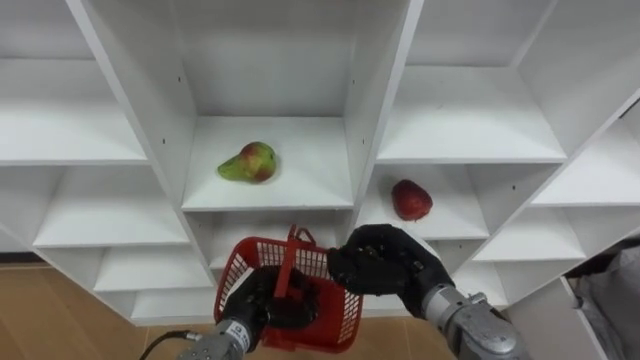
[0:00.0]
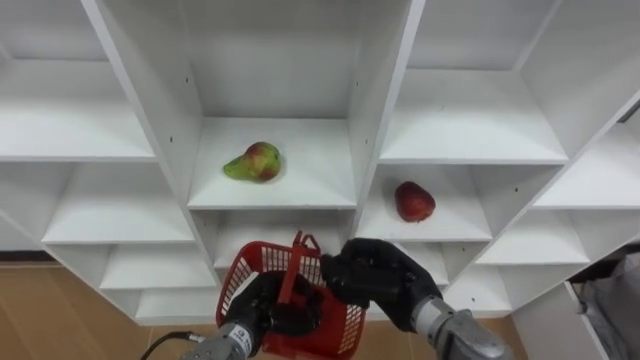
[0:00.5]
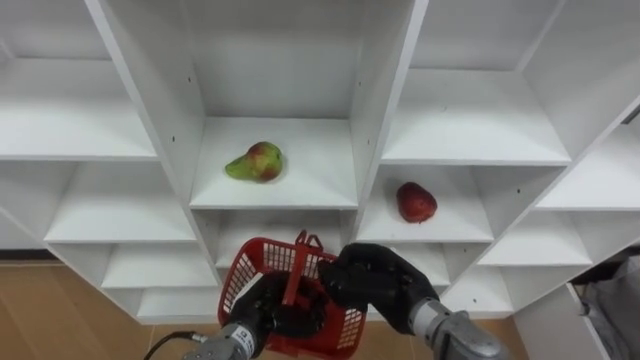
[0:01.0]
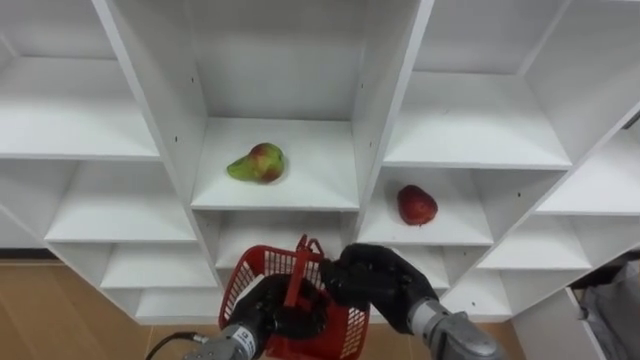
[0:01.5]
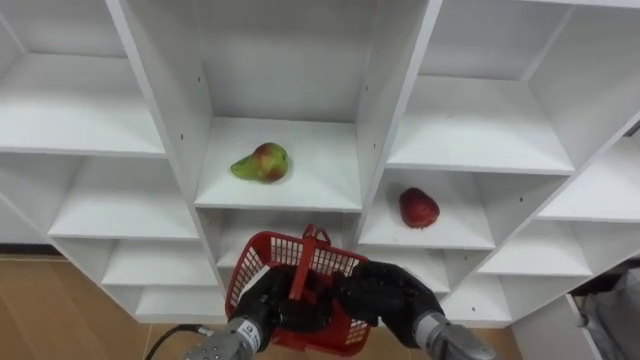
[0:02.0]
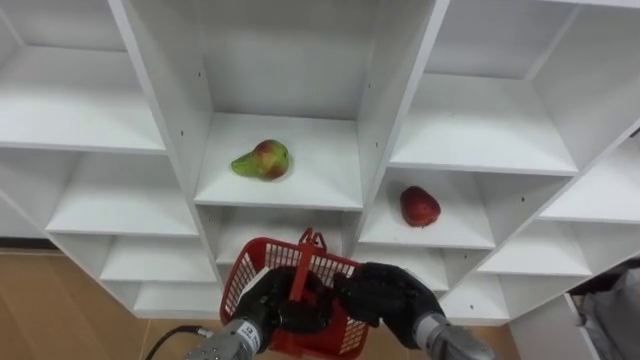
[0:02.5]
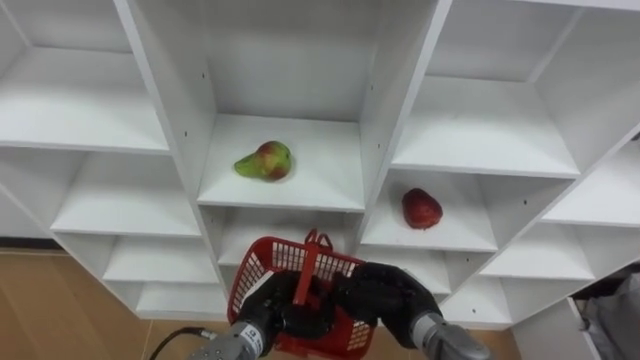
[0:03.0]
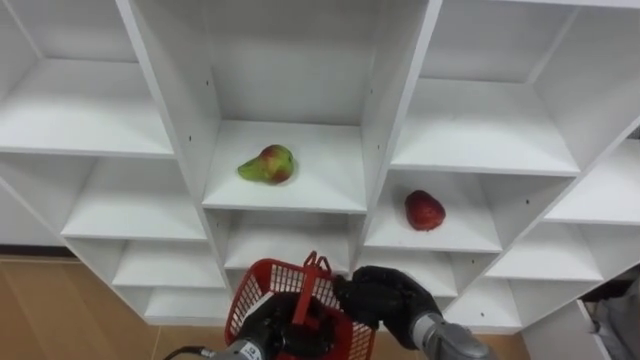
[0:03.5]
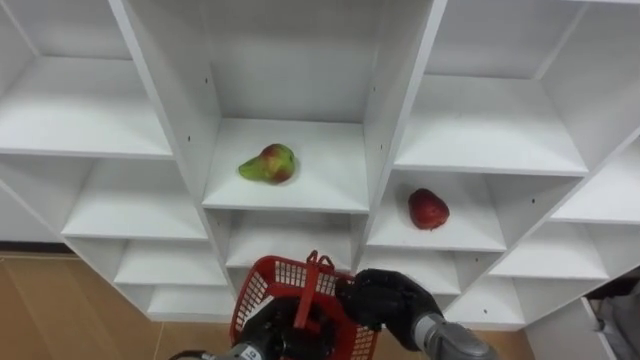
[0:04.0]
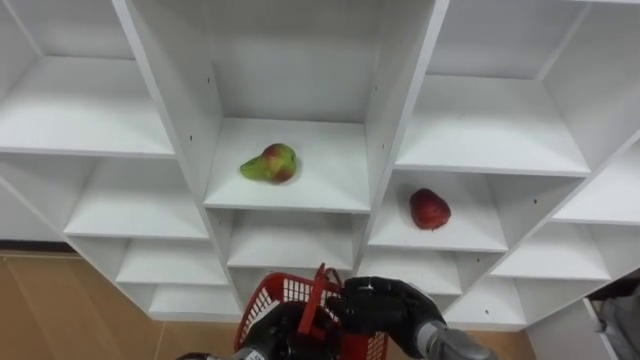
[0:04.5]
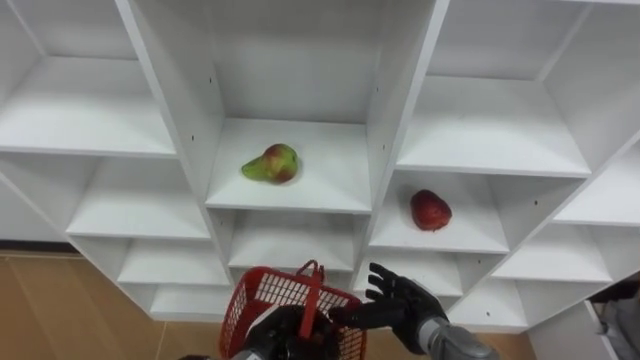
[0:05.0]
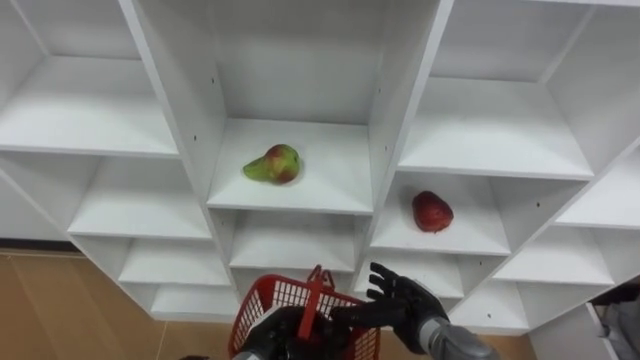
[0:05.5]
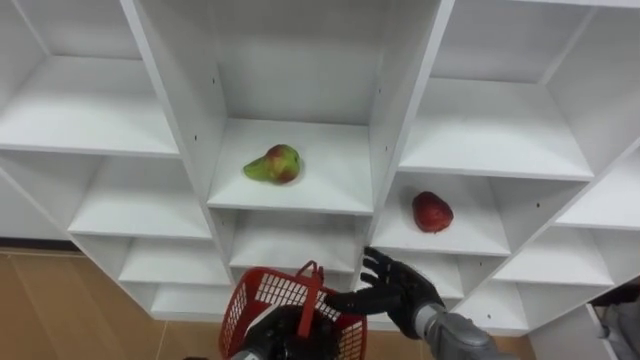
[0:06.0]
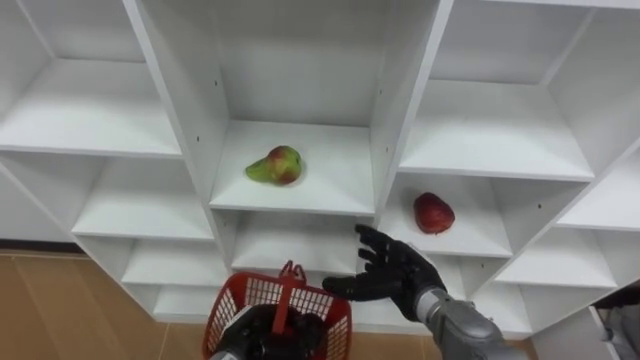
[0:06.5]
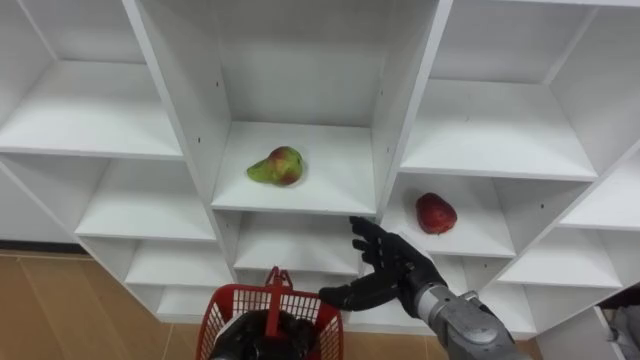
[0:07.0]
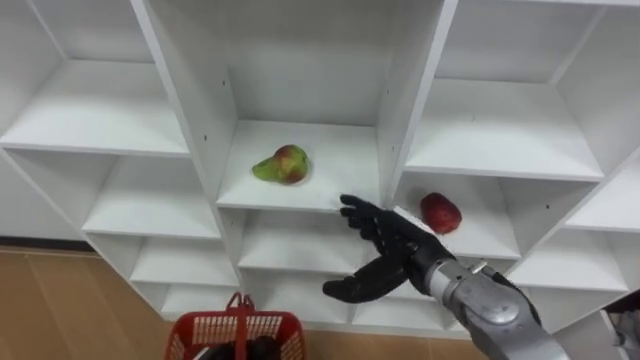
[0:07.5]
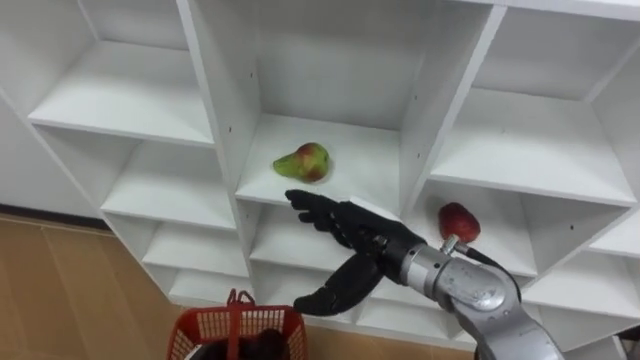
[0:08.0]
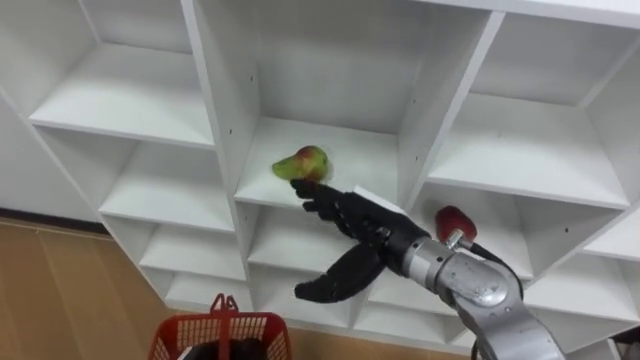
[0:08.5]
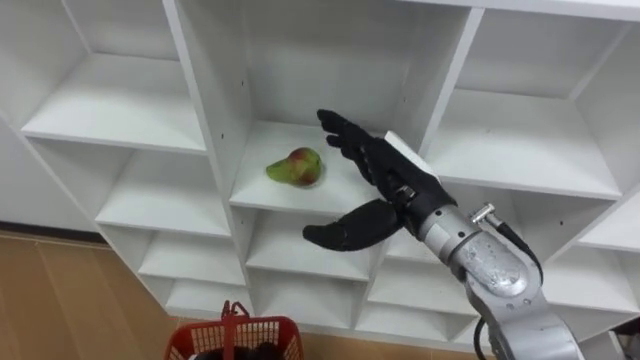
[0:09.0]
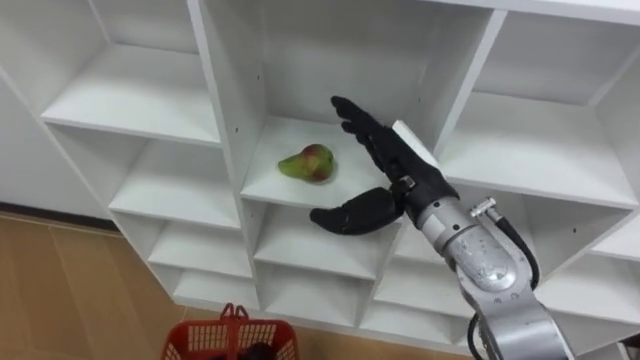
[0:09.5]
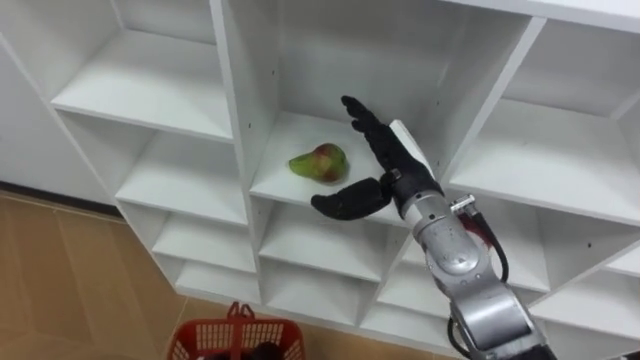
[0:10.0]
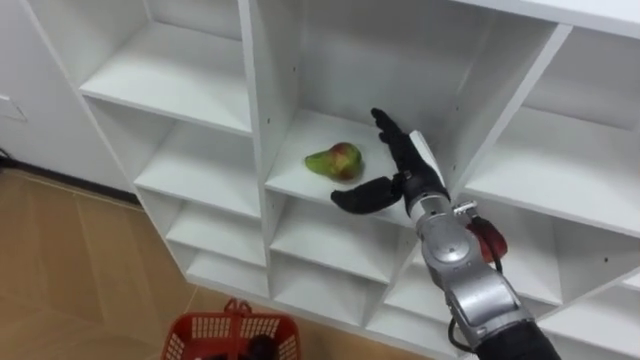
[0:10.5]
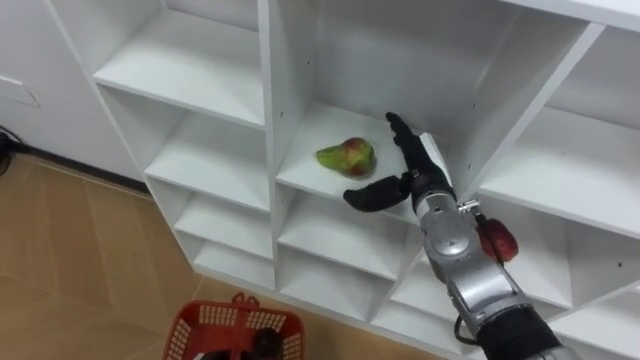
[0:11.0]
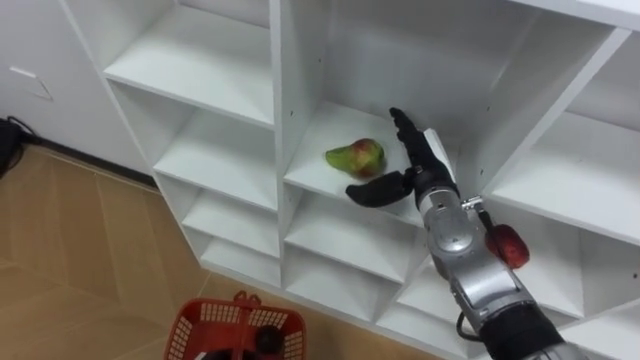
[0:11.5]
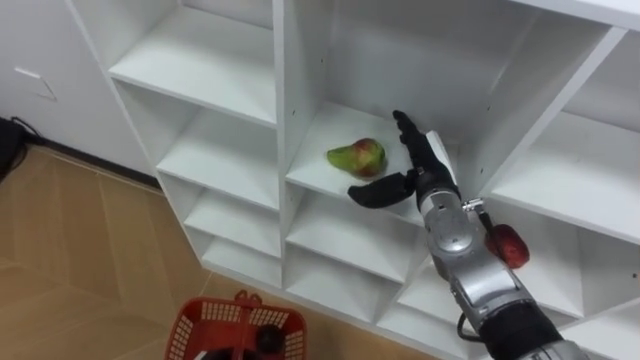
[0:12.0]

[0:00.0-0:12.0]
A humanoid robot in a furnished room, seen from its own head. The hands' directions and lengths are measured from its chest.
Task of the whole recording: Hold the basket and collect the fruits from 3 different cells of the closet into it.
0.0 to 2.0 s: The right hand shifts some 5 cm downward.
2.0 to 4.0 s: The hands stay close to where they were, moving slightly.
4.0 to 6.0 s: The right hand opens.
6.0 to 8.0 s: The right hand shifts about 15 cm upward.
8.0 to 10.0 s: The right hand goes approximately 5 cm forward.
10.0 to 12.0 s: The right hand shifts some 5 cm downward.

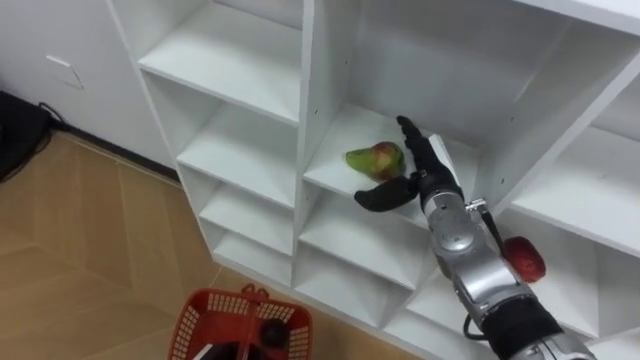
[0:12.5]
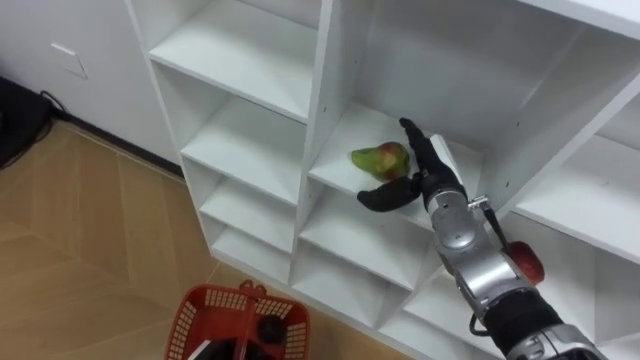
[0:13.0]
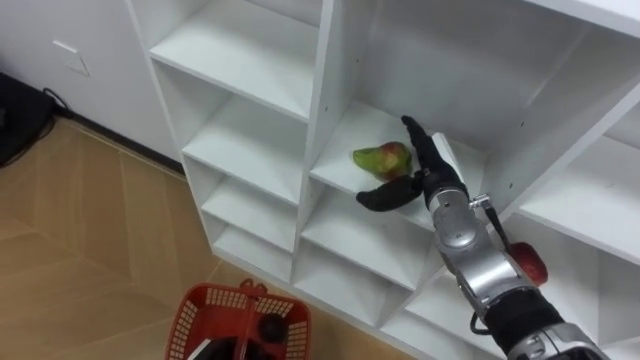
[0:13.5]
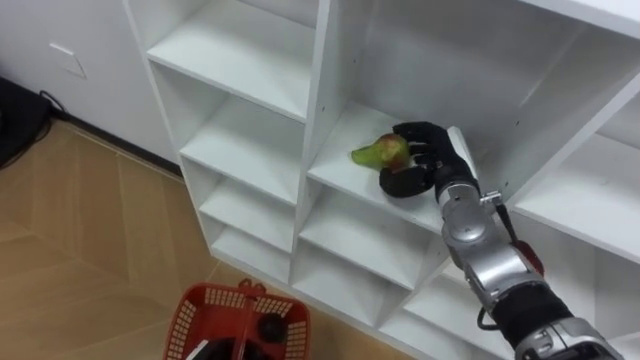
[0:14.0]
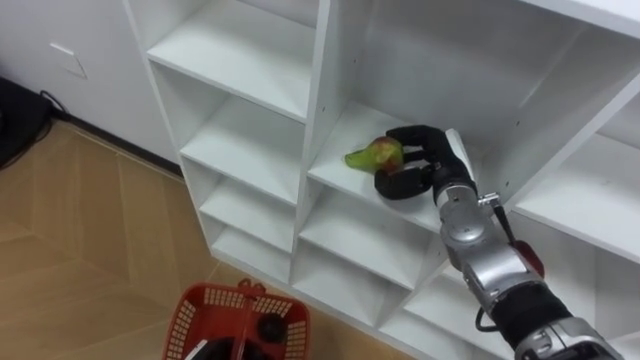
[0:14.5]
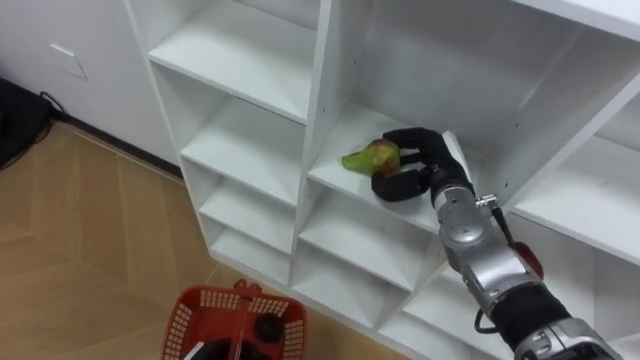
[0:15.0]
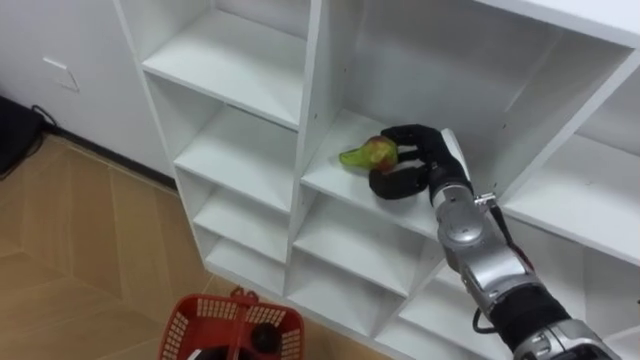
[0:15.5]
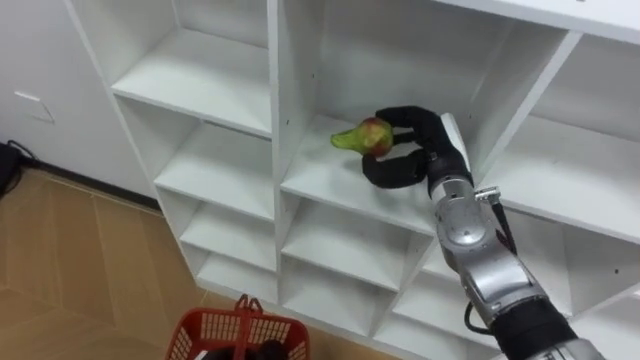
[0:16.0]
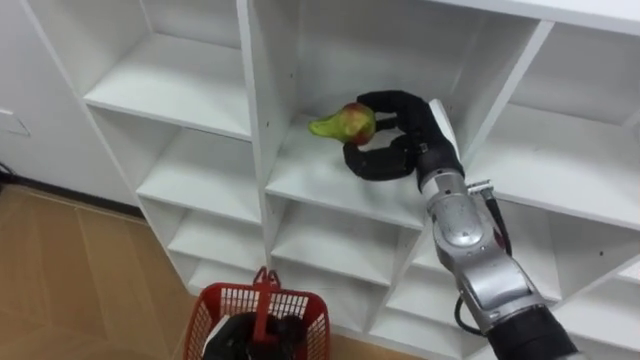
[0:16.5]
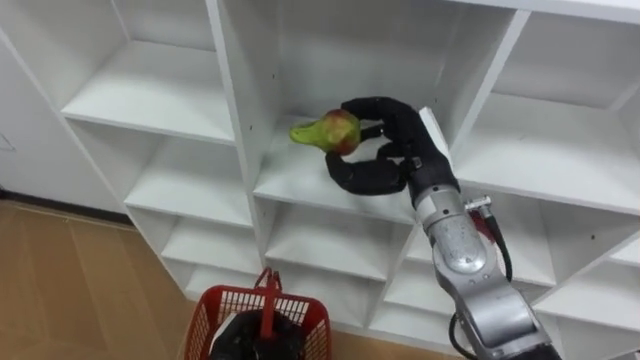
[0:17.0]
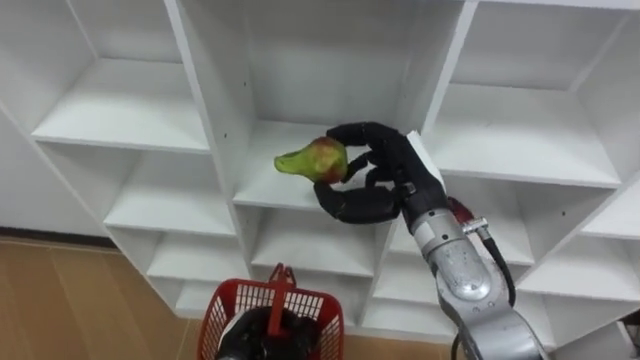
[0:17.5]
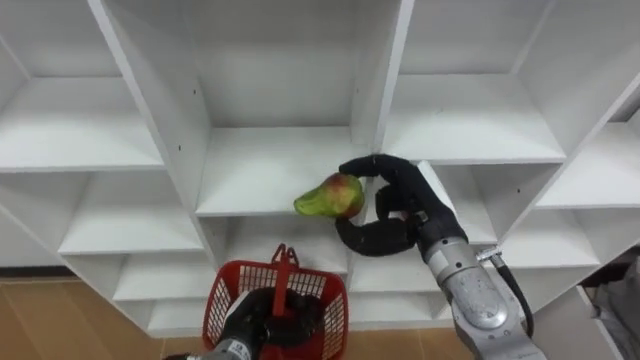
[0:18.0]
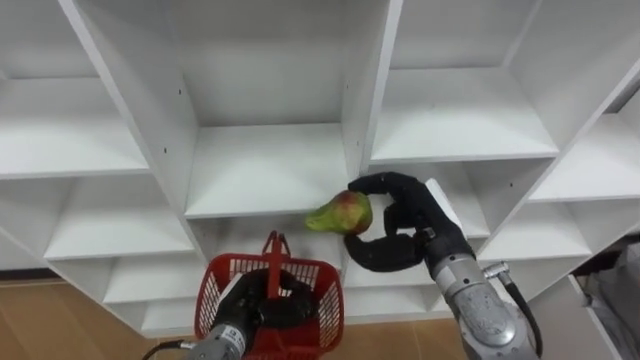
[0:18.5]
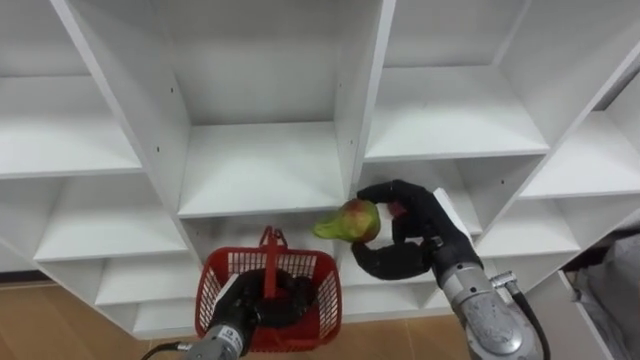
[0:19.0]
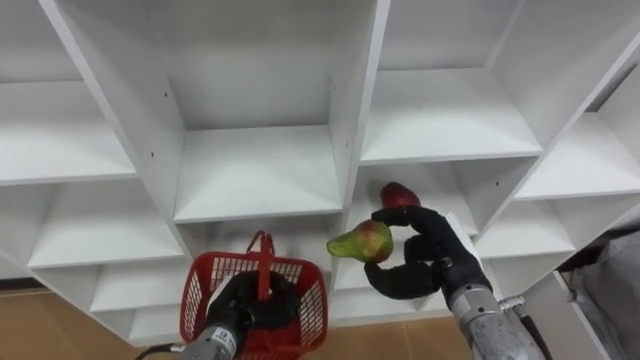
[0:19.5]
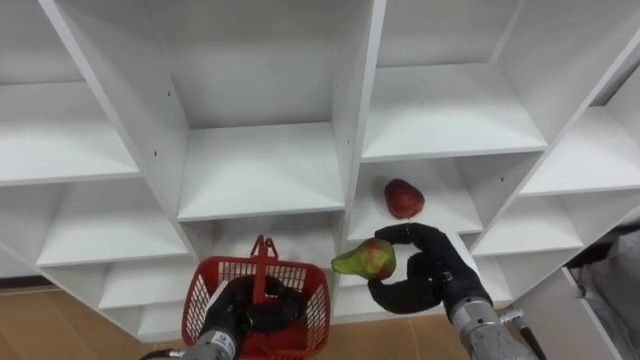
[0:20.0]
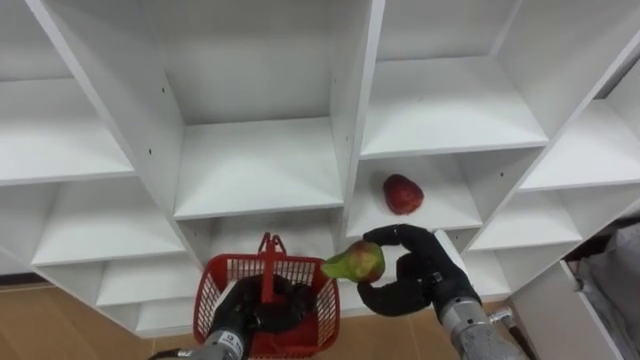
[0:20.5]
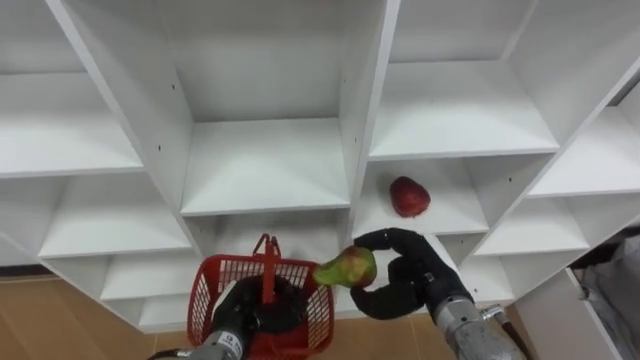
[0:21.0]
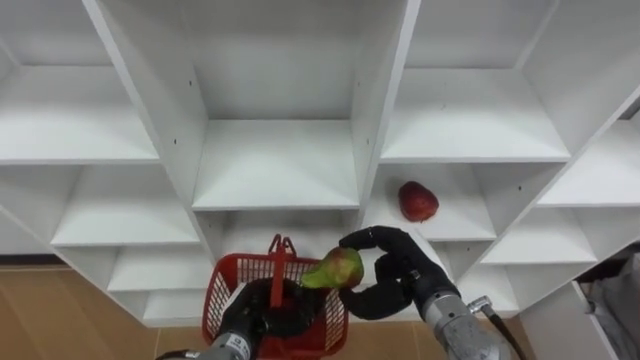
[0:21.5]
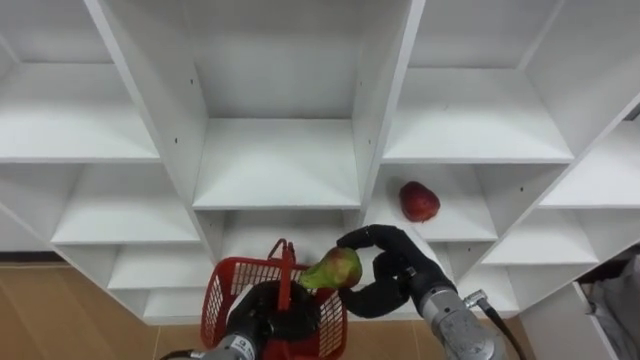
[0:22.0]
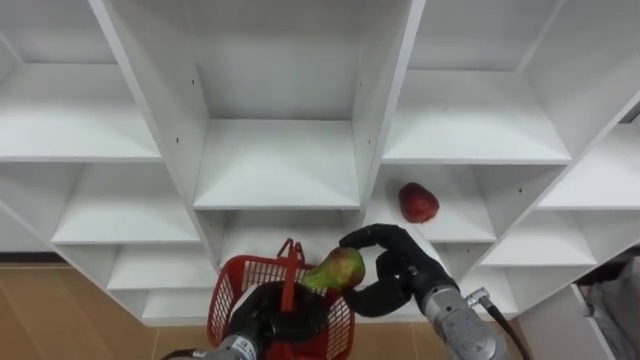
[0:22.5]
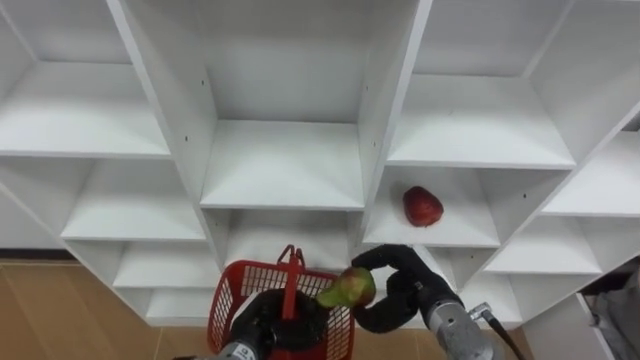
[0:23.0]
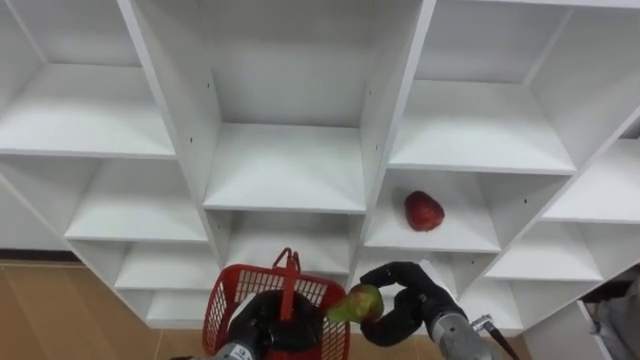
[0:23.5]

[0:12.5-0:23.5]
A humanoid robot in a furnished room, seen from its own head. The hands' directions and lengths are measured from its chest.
Task of the whole recording: Hold the basket and collect the fruits from 3 different cells of the closet into it.
12.5 to 14.5 s: The right hand closes its fingers.
16.0 to 18.0 s: The right hand goes roughly 10 cm backward.
18.0 to 20.0 s: The right hand heads downward, covering some 10 cm.
21.5 to 23.5 s: The right hand heads downward, covering some 5 cm.
